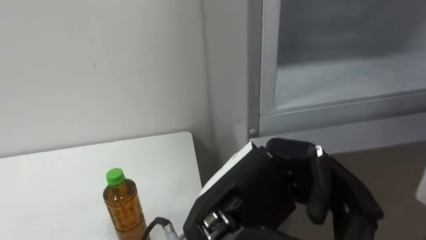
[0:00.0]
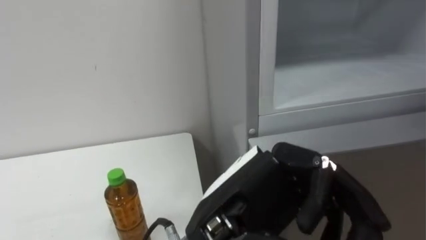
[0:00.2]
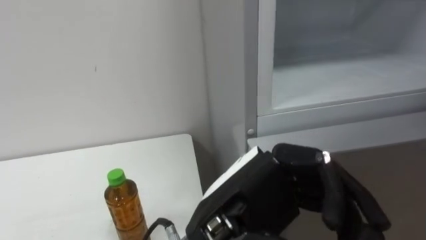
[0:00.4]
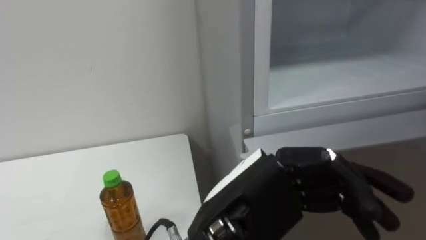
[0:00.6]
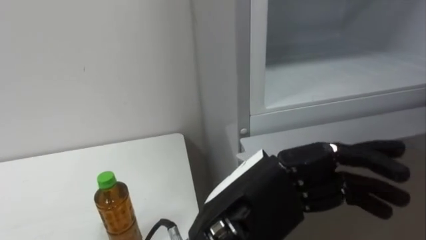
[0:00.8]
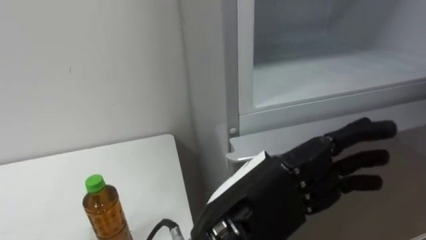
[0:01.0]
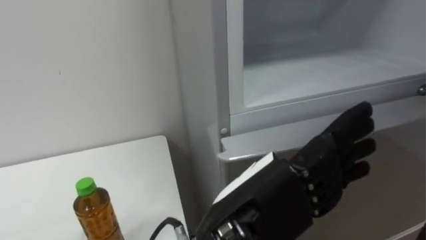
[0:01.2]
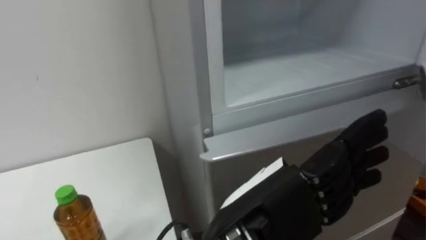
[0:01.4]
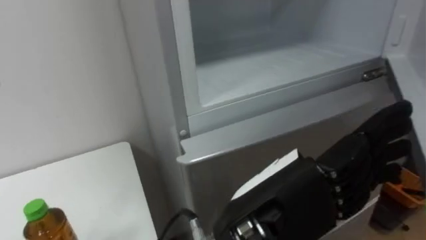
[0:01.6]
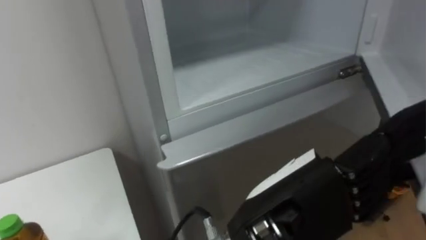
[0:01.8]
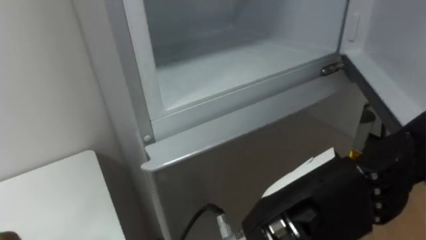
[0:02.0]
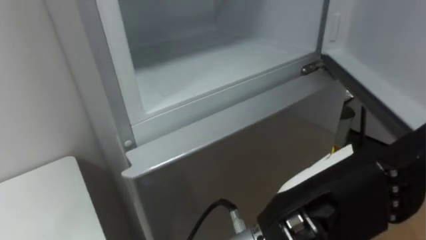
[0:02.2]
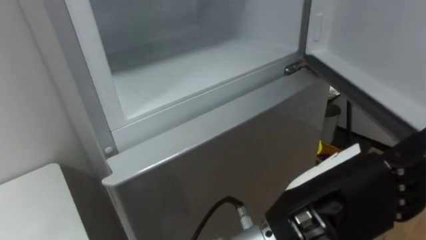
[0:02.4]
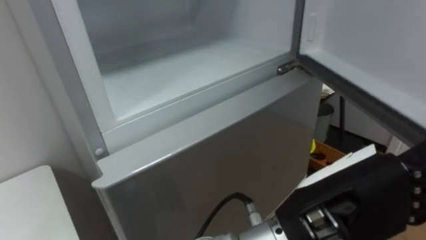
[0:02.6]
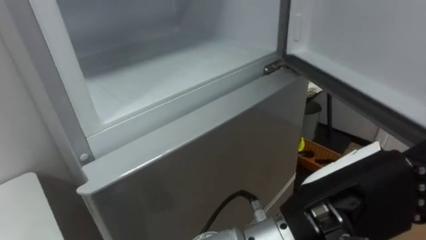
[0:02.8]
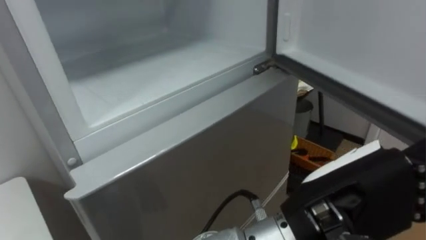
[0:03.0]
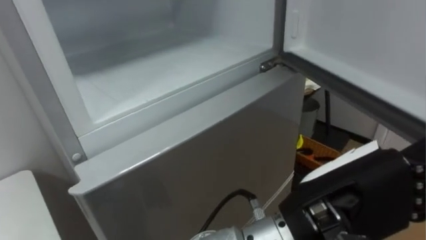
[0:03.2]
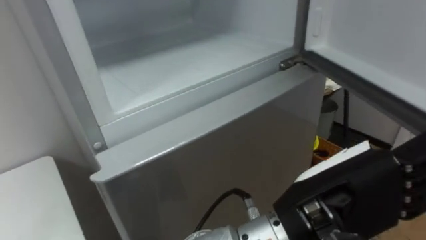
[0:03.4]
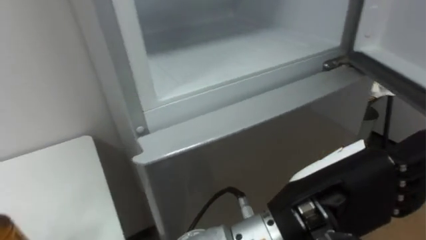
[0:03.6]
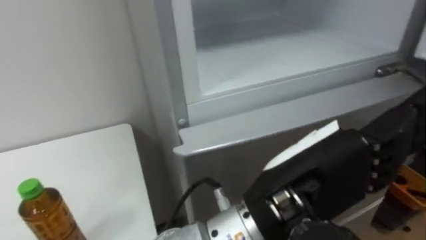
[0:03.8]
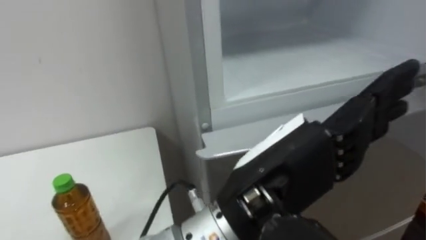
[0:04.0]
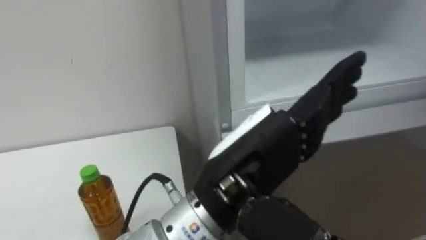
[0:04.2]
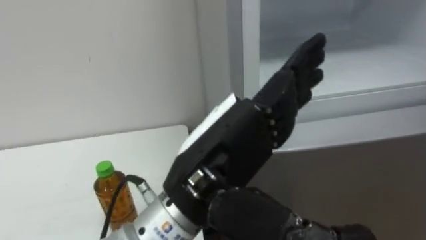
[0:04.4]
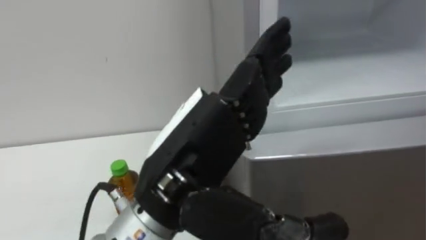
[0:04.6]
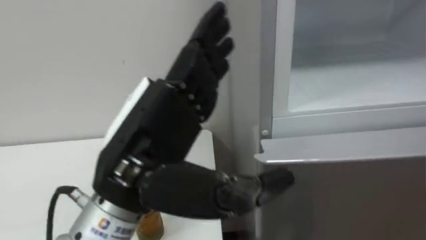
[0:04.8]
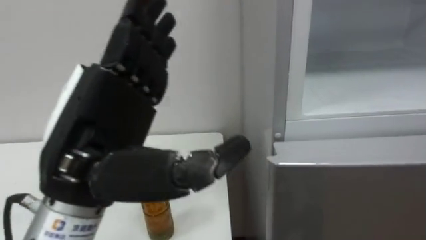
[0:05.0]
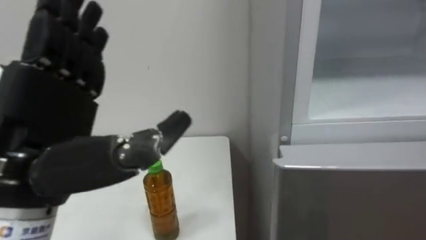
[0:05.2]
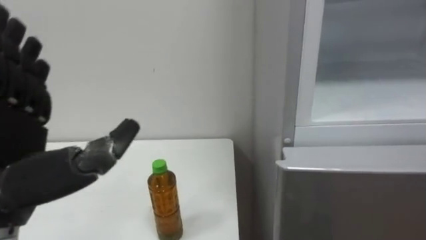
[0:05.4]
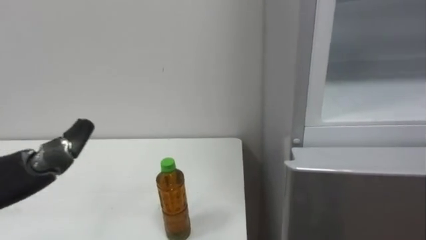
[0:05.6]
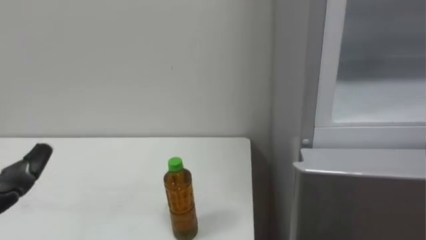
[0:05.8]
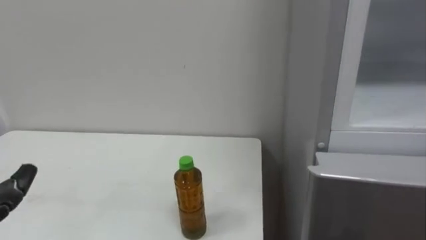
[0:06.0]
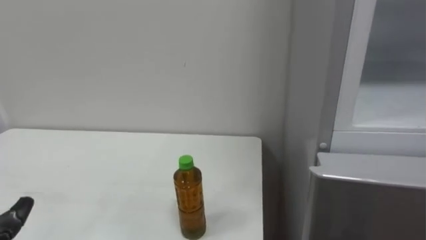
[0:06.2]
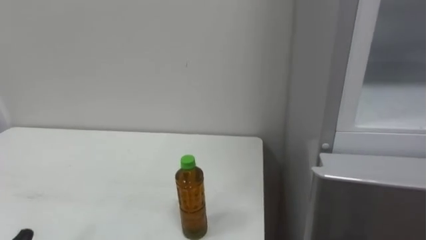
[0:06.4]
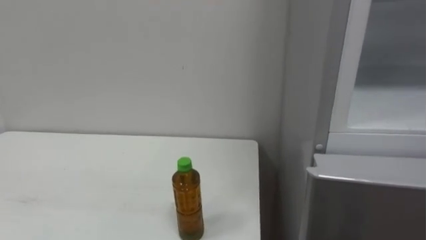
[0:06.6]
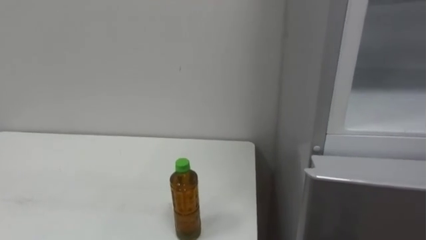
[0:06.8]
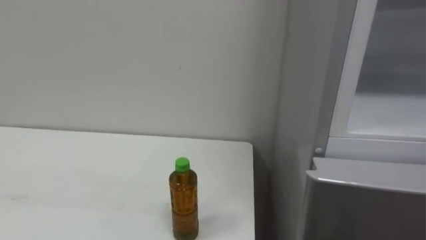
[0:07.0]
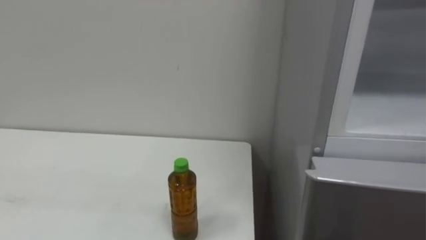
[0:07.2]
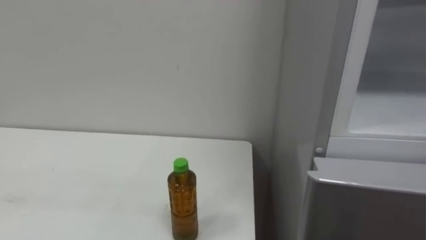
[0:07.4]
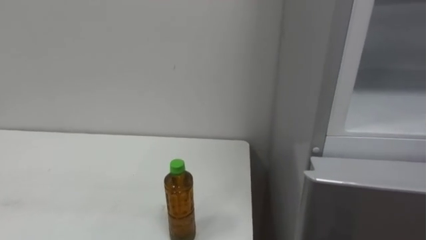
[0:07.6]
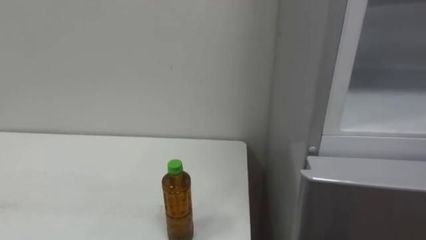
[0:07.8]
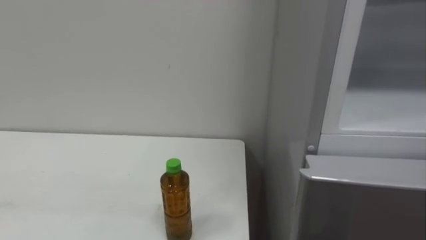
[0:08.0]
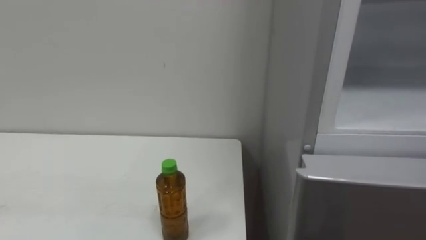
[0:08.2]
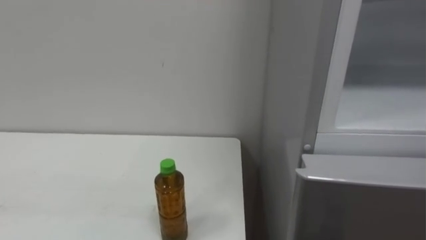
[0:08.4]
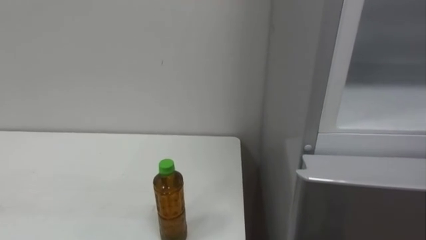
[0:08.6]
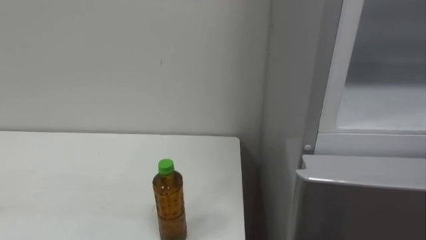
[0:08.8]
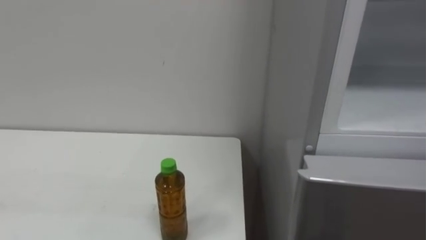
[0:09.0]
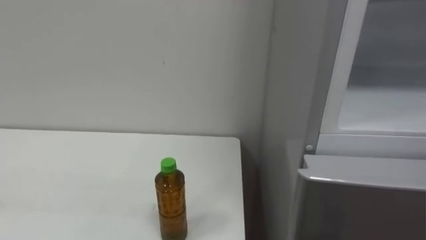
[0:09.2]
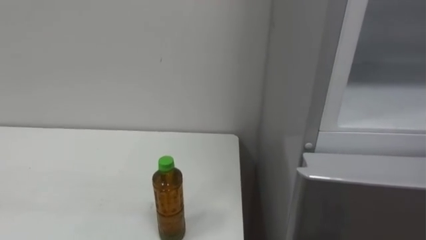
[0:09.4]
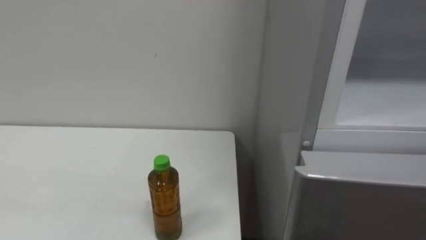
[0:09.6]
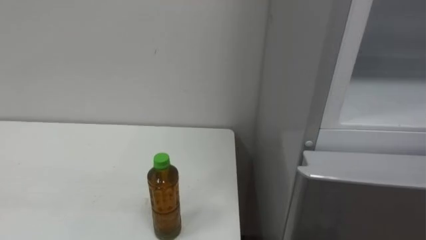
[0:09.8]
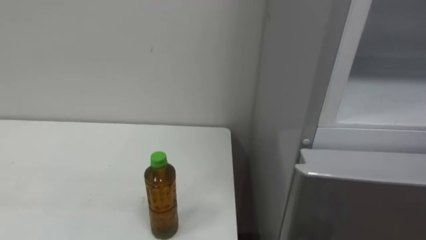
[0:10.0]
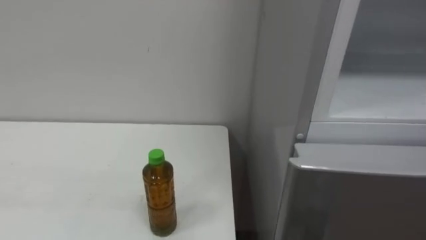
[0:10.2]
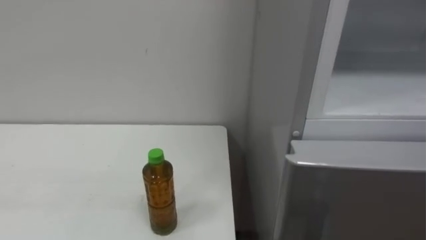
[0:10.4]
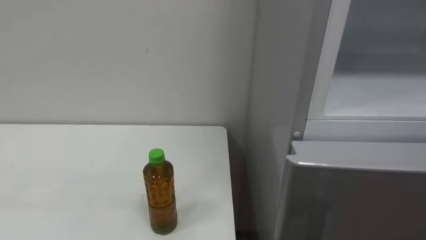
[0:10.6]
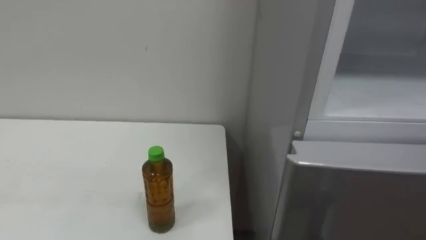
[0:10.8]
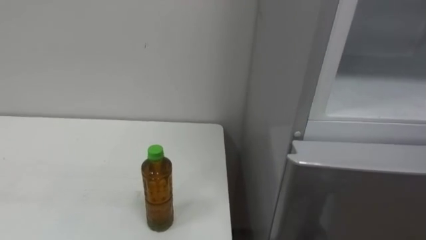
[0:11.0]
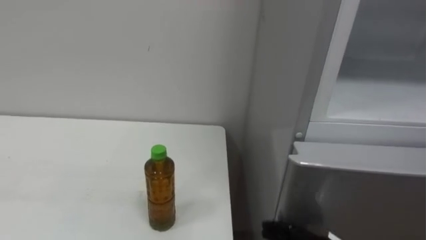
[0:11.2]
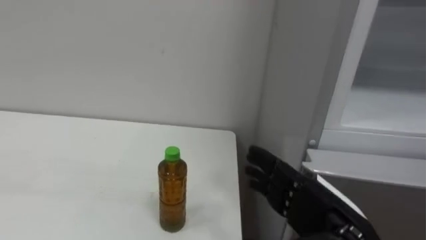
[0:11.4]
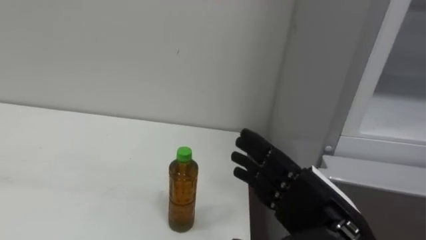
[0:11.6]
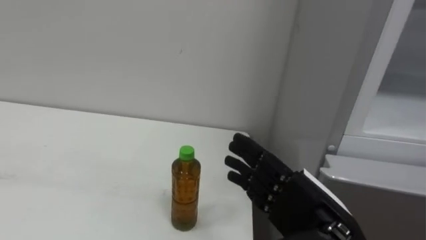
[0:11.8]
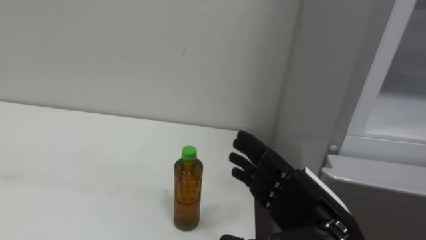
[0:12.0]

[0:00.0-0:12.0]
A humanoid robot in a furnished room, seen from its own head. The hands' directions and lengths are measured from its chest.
Task of the whole recording: Open the upper refrigerator door, put the drink from the table into the refrigerator, and then close the refrigerator door.
0:00.0 to 0:01.6: The left hand opens up.
0:01.6 to 0:03.0: The left hand shifts approximately 5 cm to the right.
0:03.0 to 0:04.4: The left hand is displaced to the left by some 10 cm.

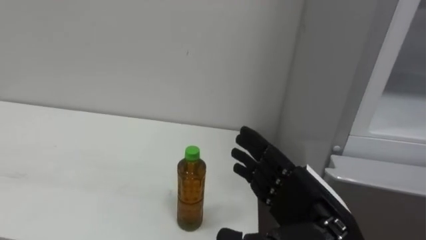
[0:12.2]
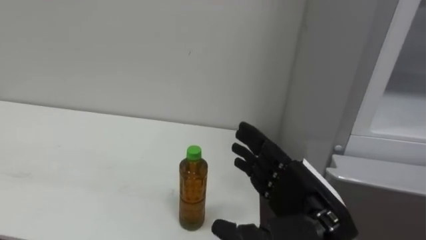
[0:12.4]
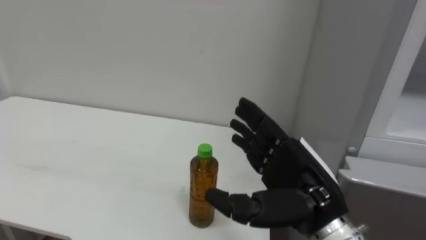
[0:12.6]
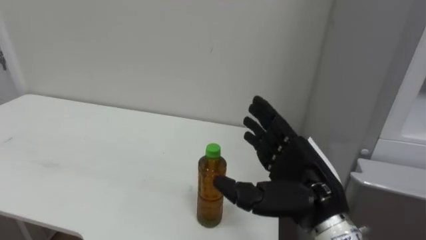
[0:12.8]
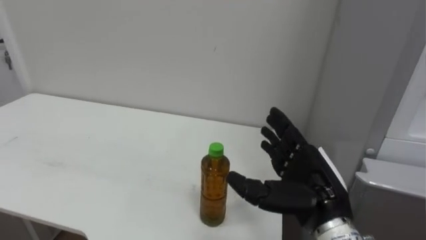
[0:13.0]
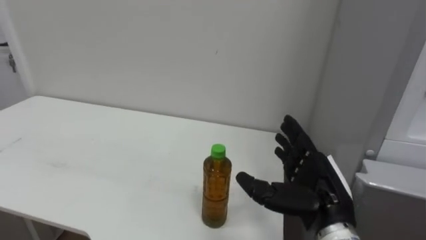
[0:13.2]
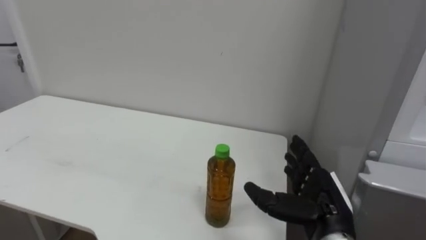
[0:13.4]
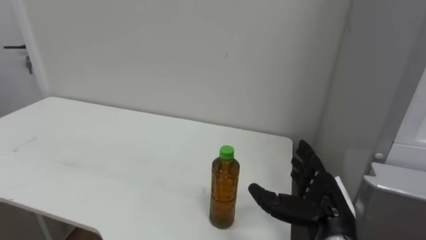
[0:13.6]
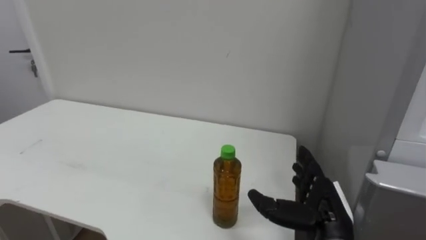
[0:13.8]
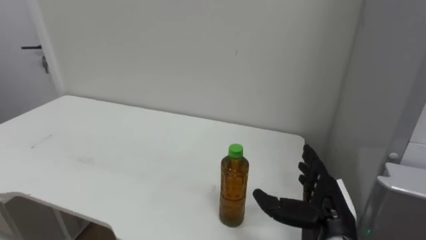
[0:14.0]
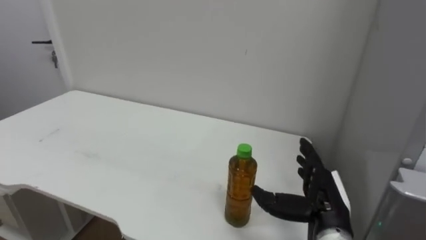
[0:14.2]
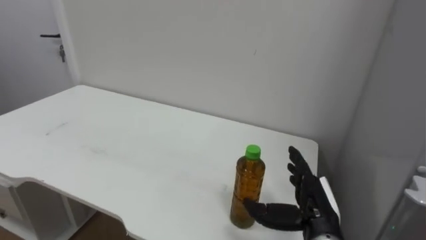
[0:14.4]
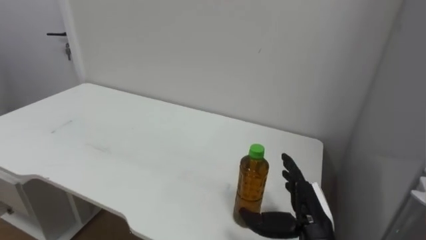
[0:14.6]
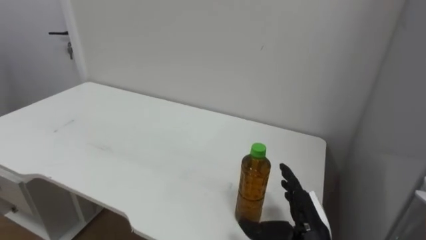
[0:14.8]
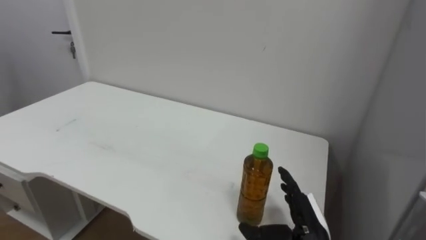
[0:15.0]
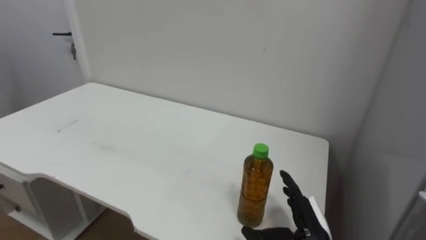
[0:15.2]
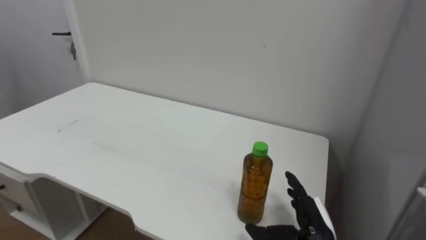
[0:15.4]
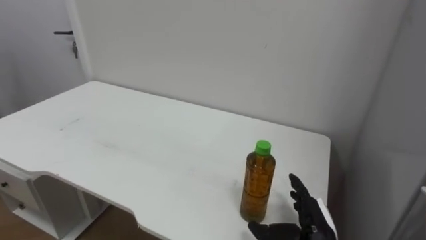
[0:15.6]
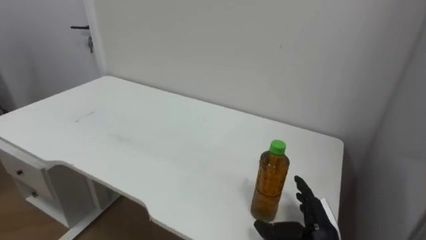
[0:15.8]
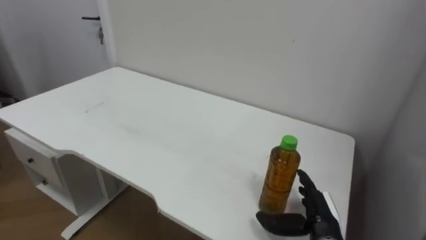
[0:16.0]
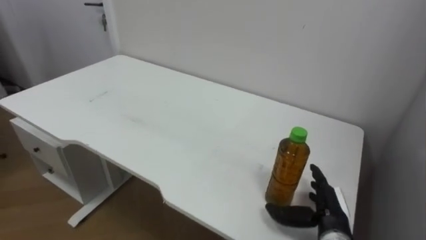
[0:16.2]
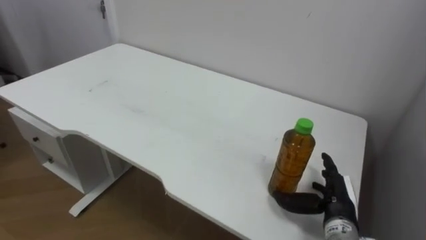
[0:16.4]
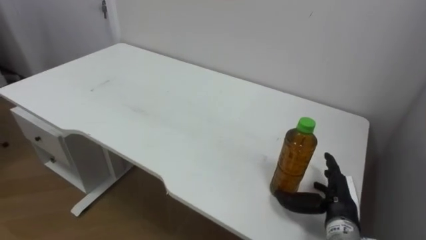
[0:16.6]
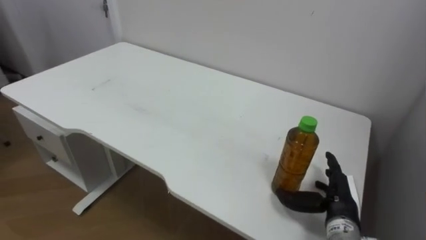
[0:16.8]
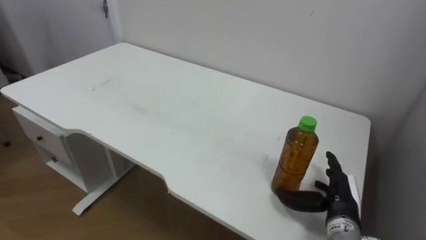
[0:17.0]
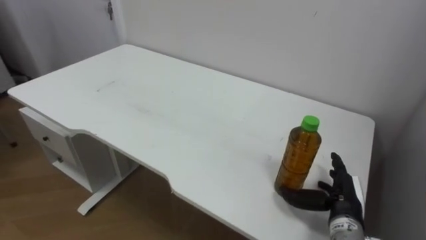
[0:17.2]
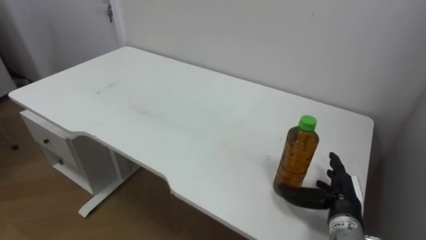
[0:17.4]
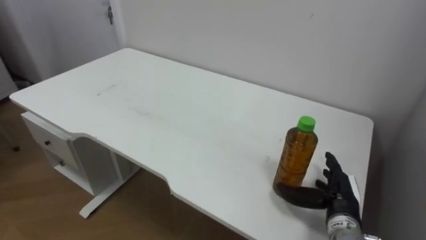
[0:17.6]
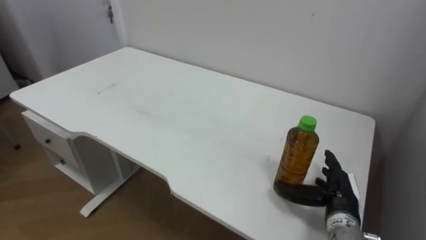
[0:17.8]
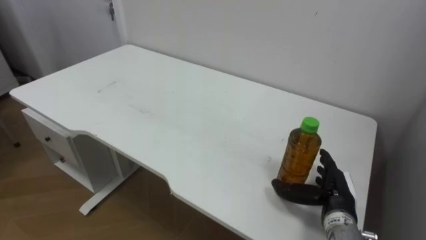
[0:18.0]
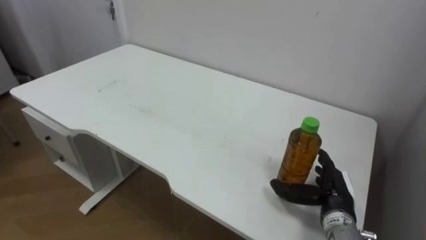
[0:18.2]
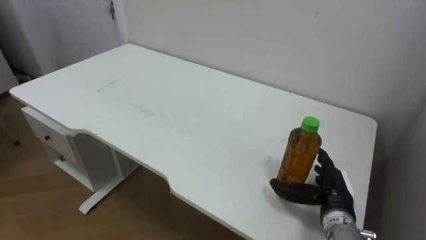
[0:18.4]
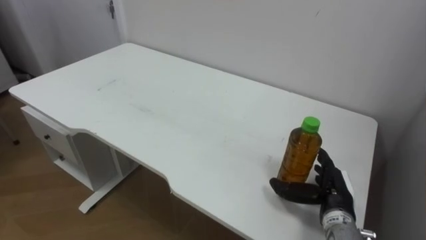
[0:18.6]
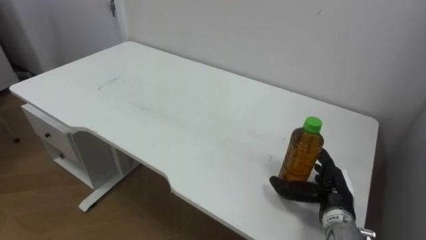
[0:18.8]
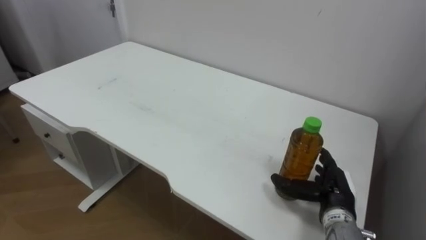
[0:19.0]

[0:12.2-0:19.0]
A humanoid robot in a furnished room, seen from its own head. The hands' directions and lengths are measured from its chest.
Task of the whole recording: Open the upper refrigerator door, put the drink from the table into the refrigerator, and then close the refrigerator door.
0:12.2 to 0:13.6: The right hand shifts roughly 10 cm downward and forward.
0:13.6 to 0:15.0: The right hand travels downward by approximately 5 cm.
0:15.0 to 0:16.2: The right hand moves approximately 5 cm.
